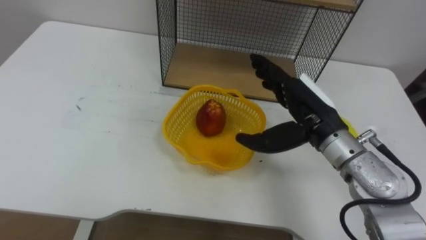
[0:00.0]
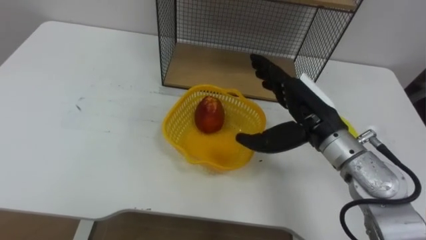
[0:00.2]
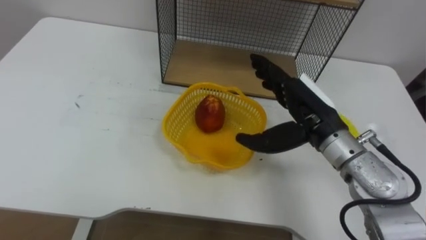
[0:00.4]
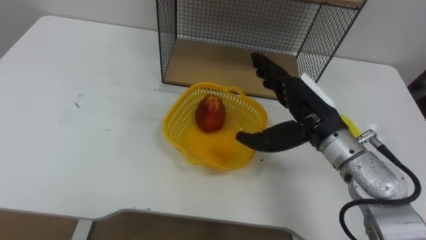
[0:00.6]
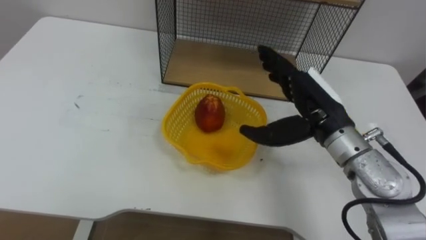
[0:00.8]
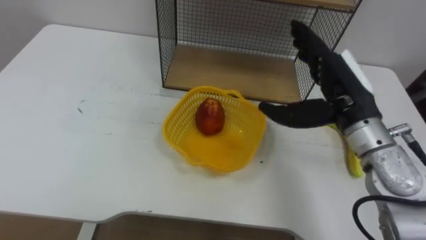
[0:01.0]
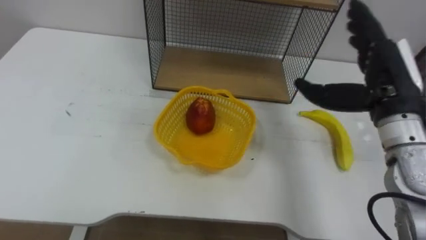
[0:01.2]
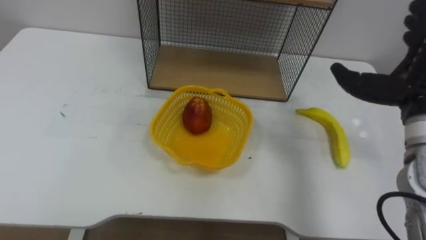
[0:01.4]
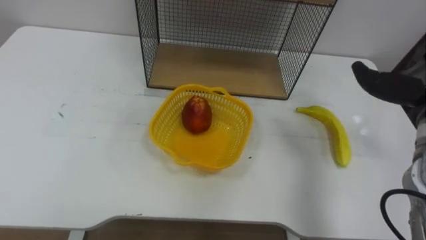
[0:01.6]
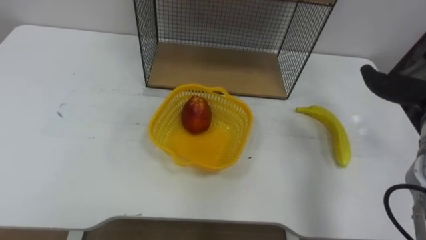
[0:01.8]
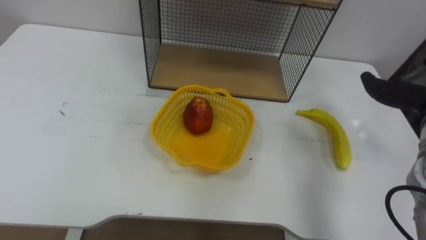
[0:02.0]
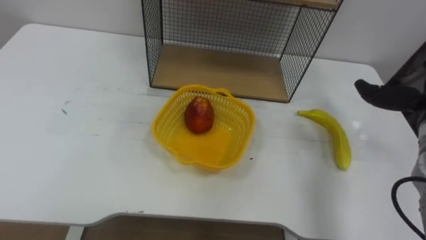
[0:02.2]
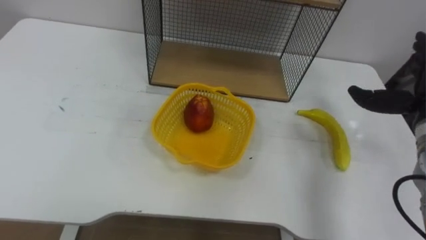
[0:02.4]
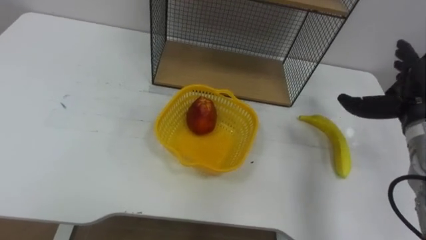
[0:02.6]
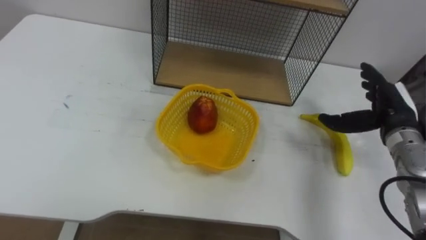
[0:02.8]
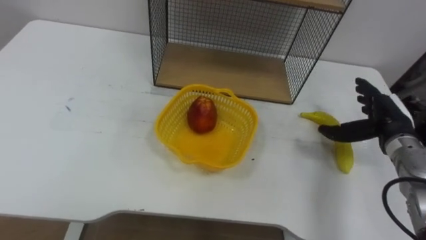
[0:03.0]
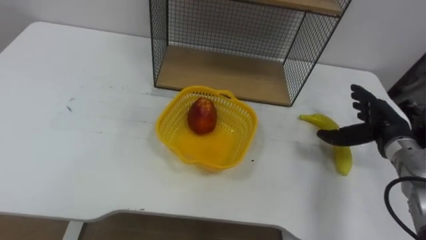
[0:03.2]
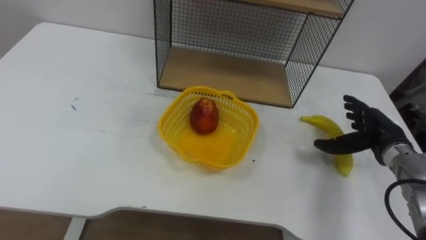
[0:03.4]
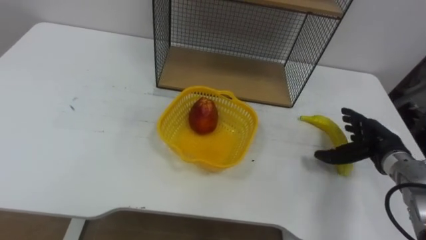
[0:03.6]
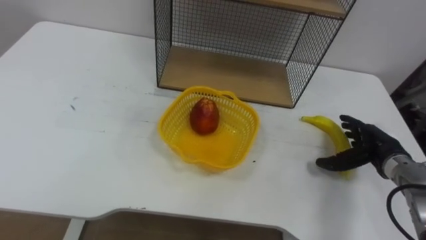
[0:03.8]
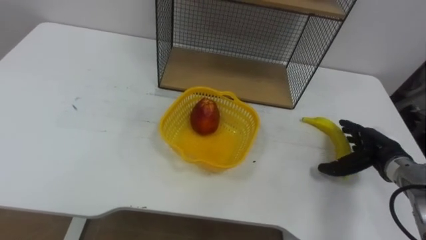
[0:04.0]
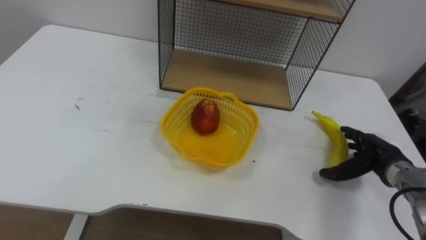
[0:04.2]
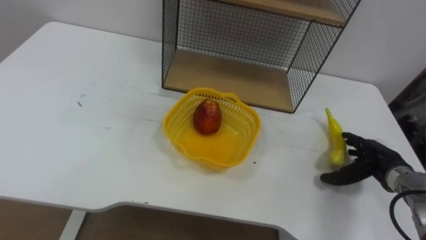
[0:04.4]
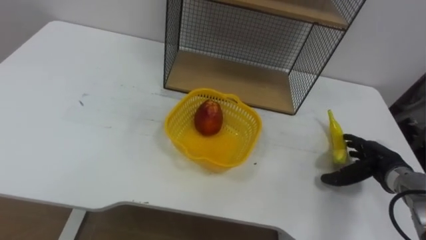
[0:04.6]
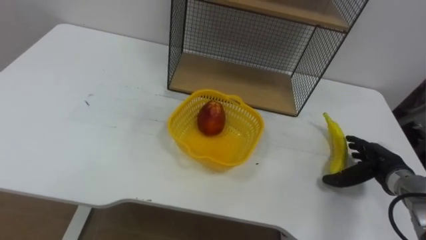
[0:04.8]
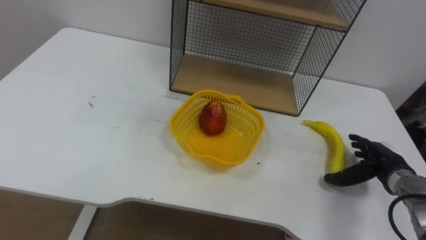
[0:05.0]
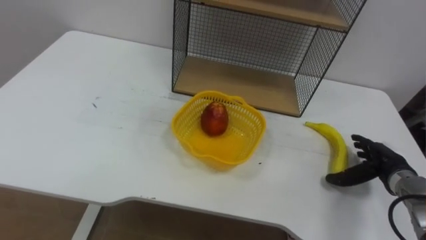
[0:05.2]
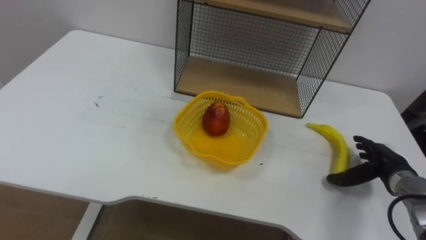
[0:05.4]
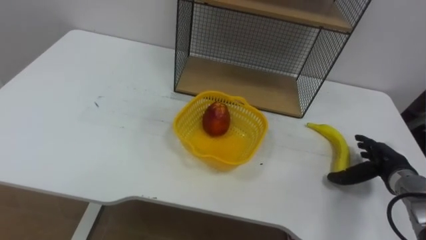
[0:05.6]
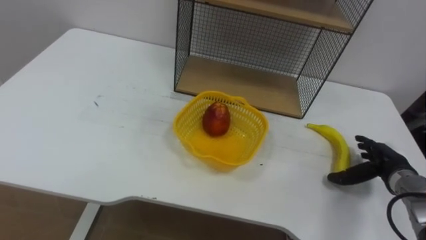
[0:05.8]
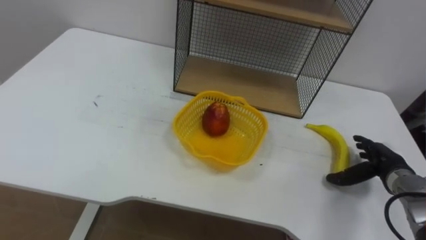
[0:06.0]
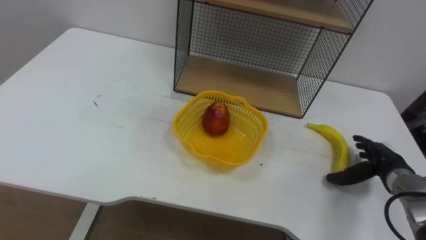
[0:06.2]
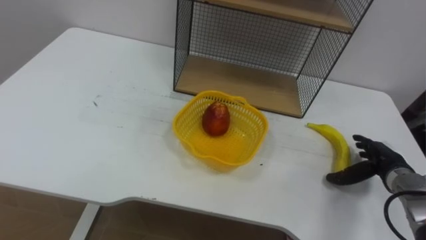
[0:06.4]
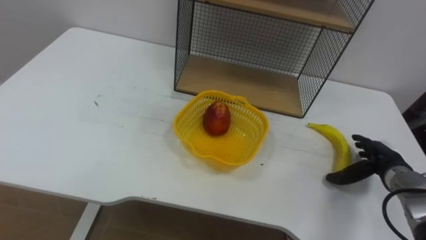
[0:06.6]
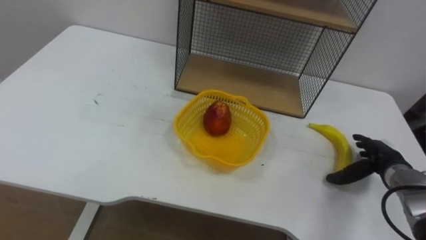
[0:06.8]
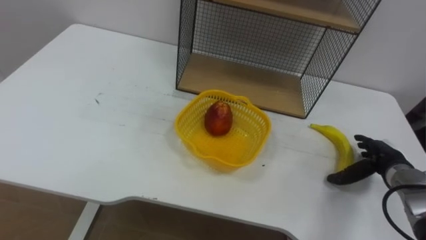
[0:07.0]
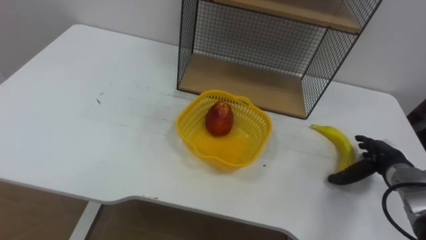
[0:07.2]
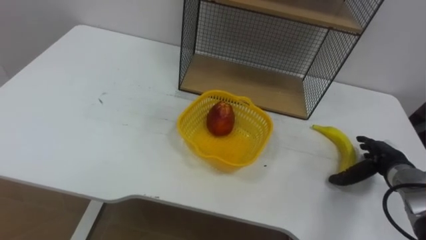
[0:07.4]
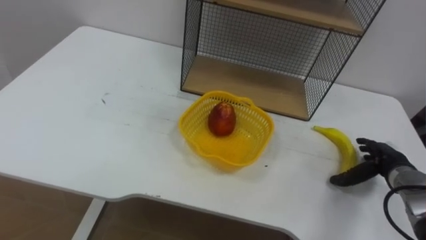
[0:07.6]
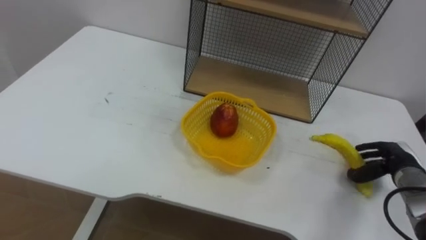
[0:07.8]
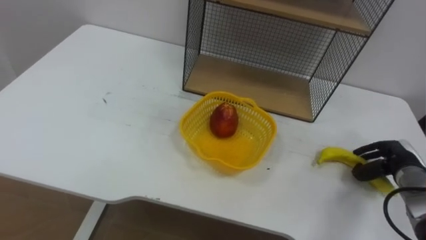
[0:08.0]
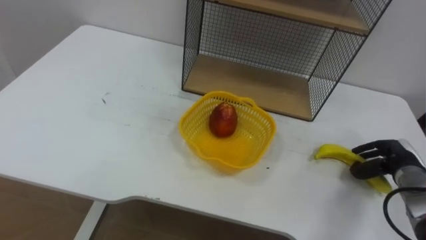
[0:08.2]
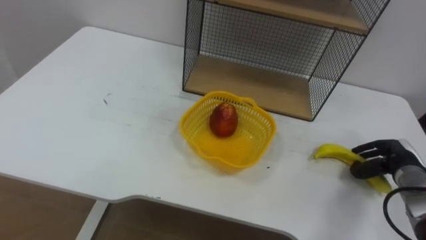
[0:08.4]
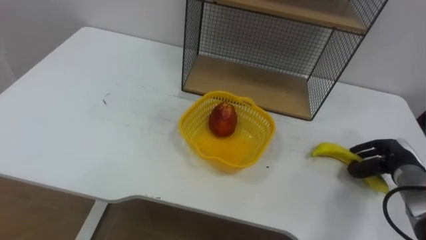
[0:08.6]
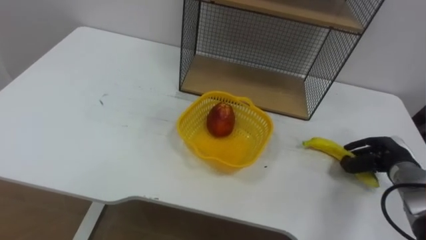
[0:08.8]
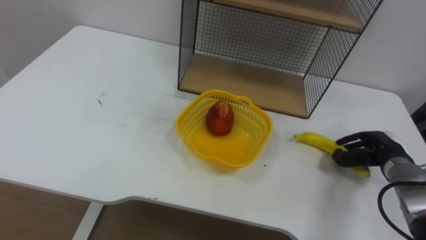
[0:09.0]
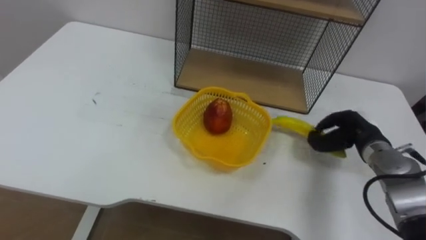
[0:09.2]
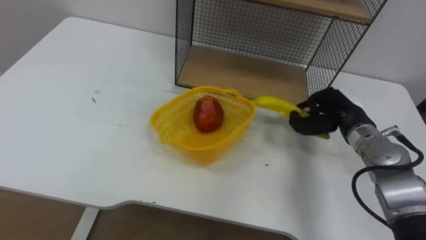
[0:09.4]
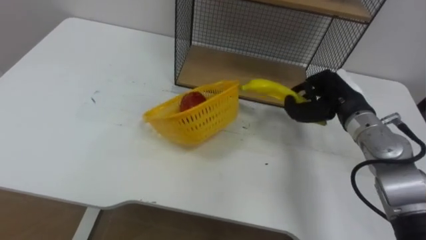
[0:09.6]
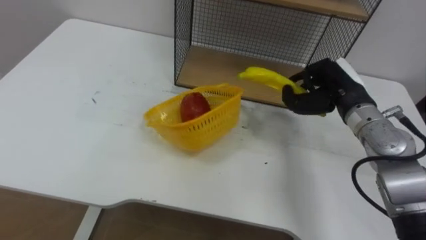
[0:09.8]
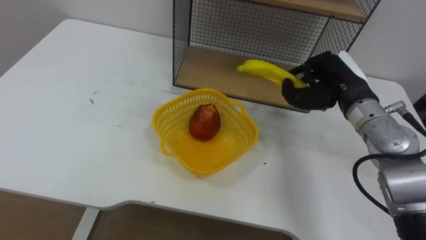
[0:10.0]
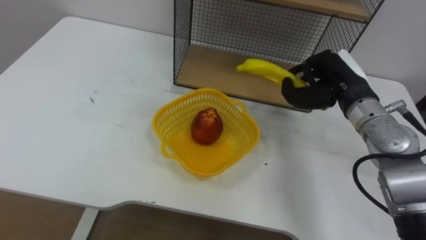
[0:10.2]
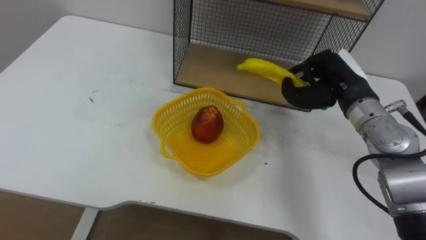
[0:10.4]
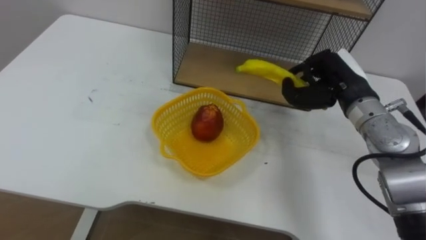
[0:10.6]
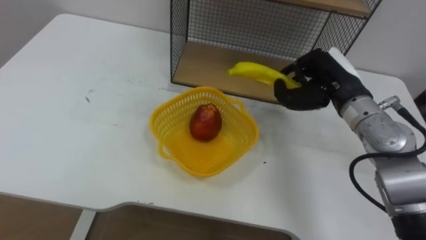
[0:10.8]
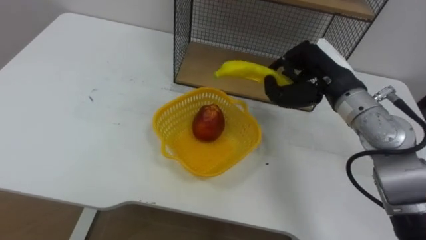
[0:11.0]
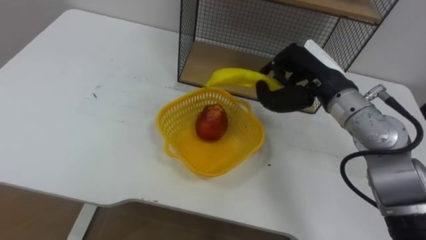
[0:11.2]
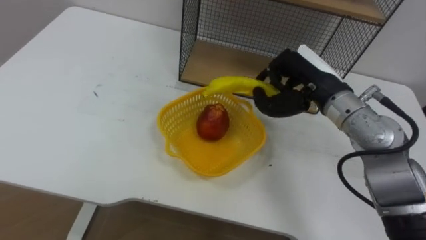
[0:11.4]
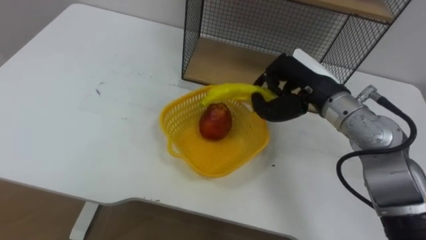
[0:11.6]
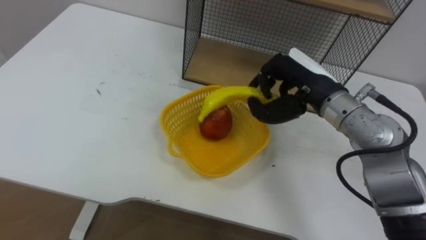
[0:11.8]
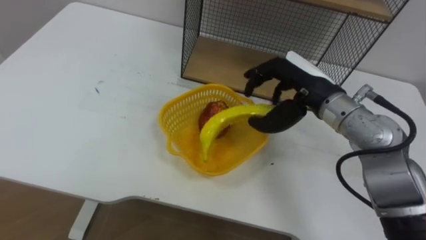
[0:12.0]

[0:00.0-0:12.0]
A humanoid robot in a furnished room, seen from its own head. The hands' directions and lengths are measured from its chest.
Task of the whole recording: Put the fruit on the table into the basket, then place the basket on the shelf.
0:03.0 to 0:04.4: The right hand shifts roughly 10 cm downward.
0:07.6 to 0:09.0: The right hand closes up.
0:09.0 to 0:10.4: The right hand heads upward and to the left, covering about 20 cm.
0:10.4 to 0:12.0: The right hand moves to the left, approximately 5 cm, and opens its fingers.

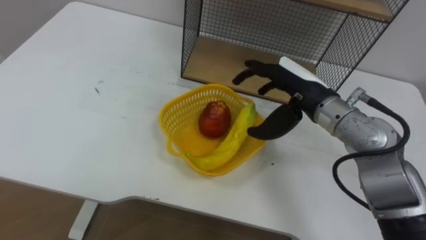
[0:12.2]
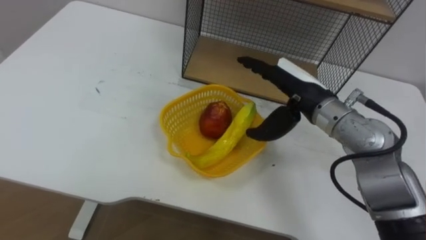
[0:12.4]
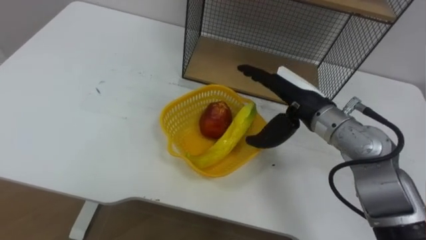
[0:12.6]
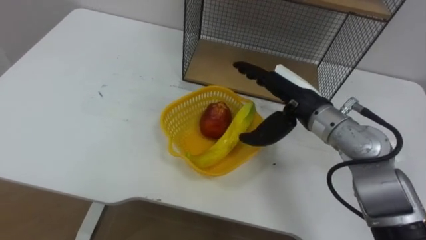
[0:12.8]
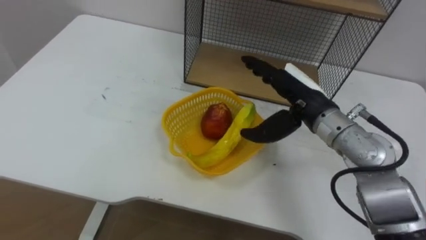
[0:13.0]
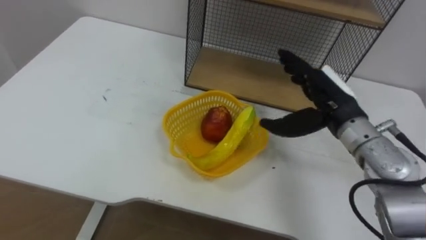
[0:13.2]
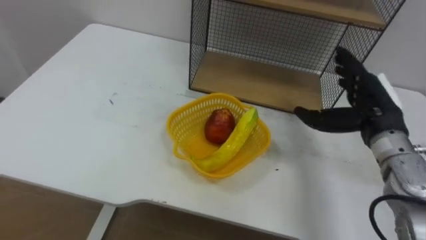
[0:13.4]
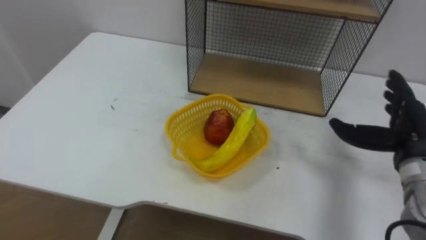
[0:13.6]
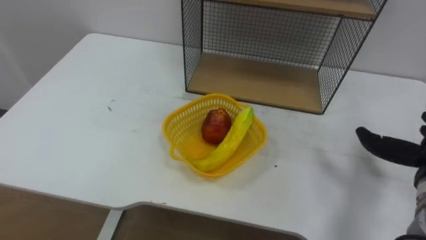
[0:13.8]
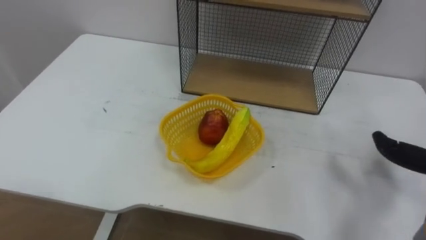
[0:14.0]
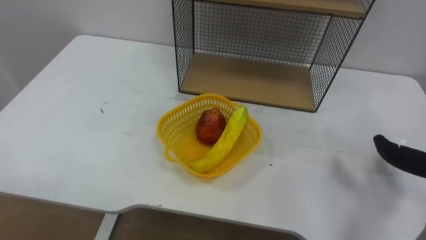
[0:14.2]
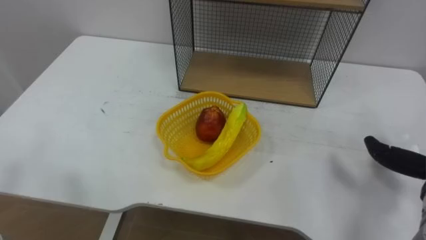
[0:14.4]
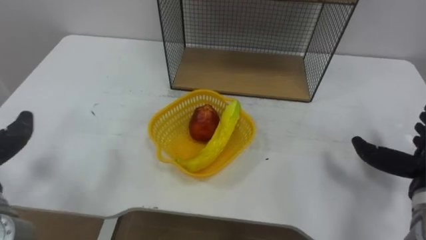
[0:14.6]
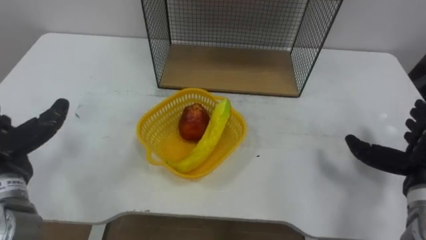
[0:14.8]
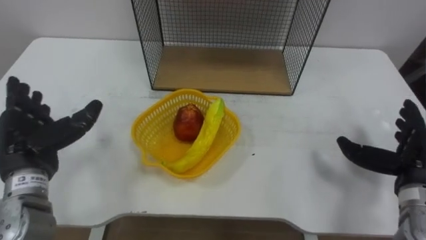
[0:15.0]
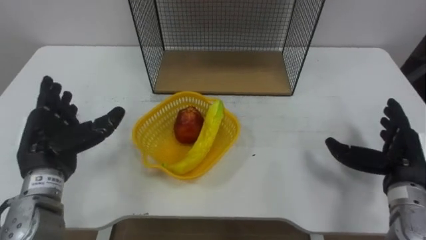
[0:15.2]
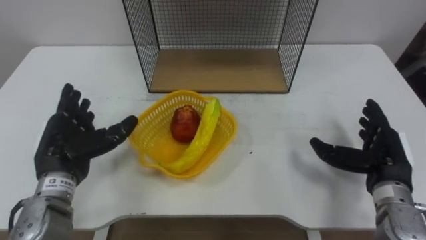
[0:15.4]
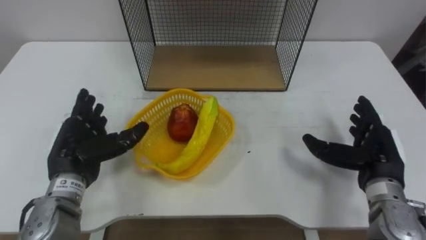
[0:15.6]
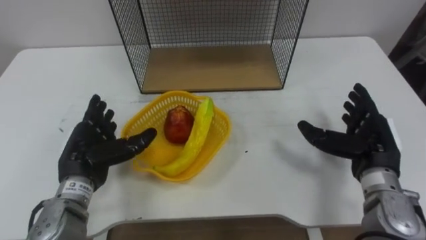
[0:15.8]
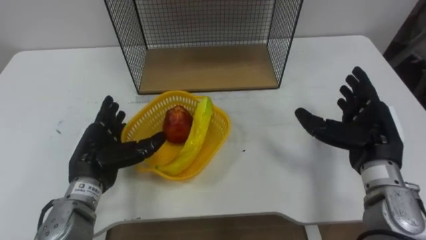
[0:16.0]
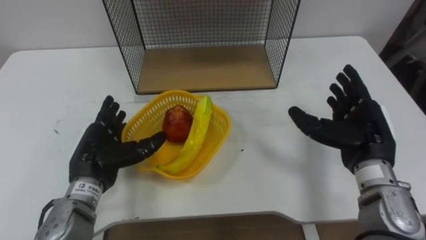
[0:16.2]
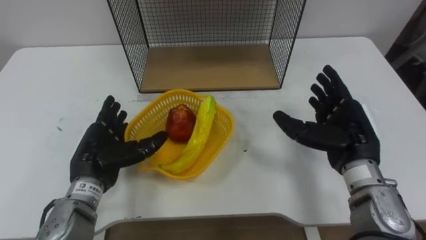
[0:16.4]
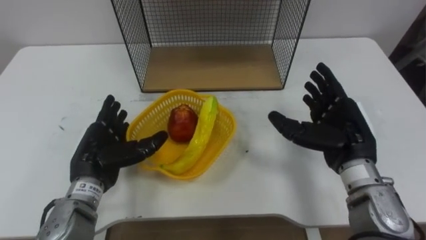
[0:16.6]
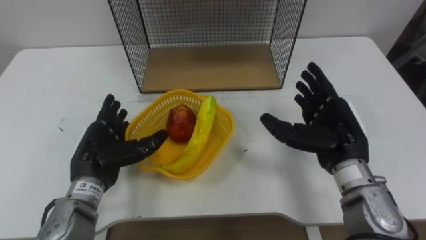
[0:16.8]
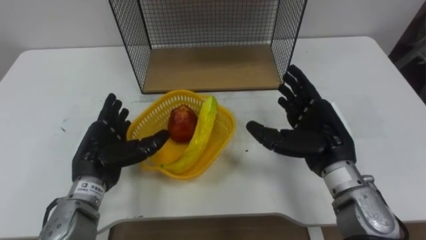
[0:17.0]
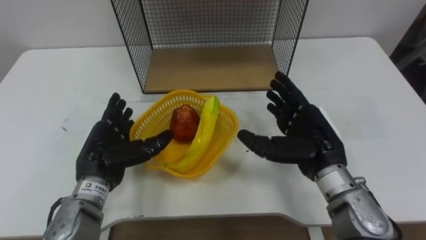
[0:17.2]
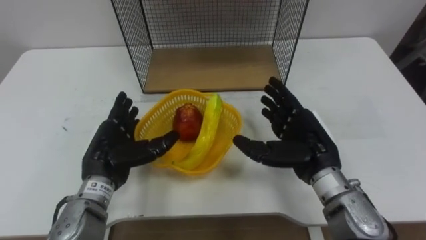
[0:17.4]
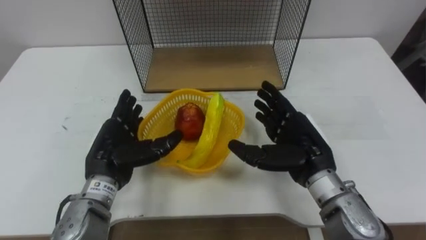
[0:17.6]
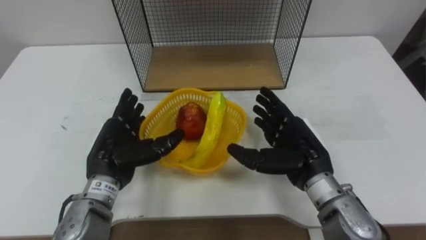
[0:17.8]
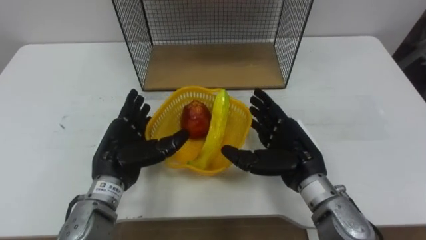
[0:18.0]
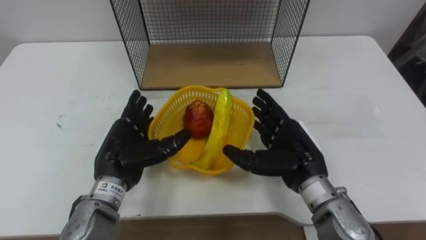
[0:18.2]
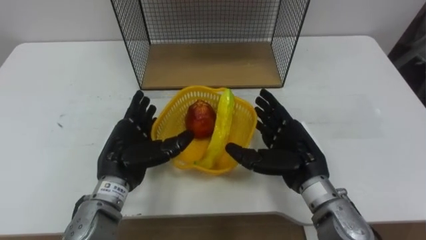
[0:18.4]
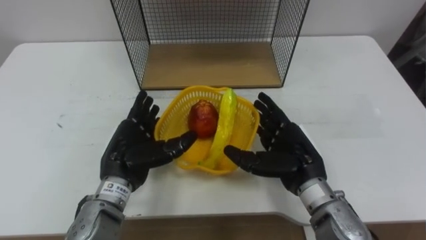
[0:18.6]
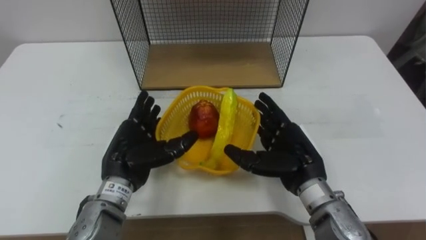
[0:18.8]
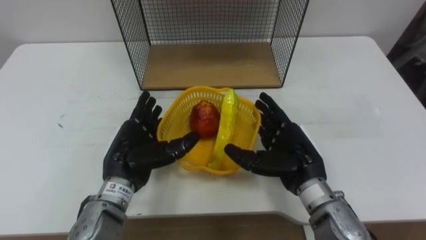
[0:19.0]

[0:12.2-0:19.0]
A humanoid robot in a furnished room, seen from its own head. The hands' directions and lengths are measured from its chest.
Task of the whole recording: Put the fruit on the table into the basket, then place the basket on the shelf.
0:12.2 to 0:13.6: The right hand shifts about 20 cm to the right.
0:15.0 to 0:16.2: The right hand is displaced to the left by roughly 10 cm. The left hand shifts about 10 cm to the right and downward.
0:16.2 to 0:17.6: The right hand travels to the left by roughly 10 cm.
